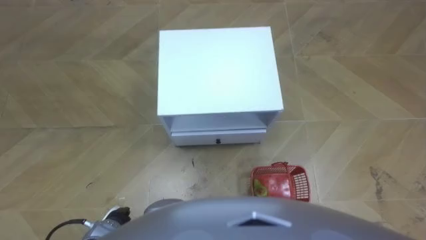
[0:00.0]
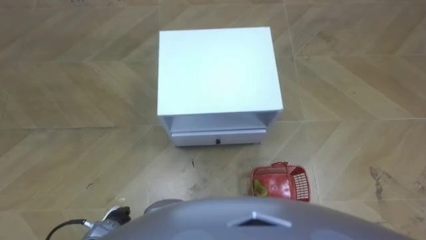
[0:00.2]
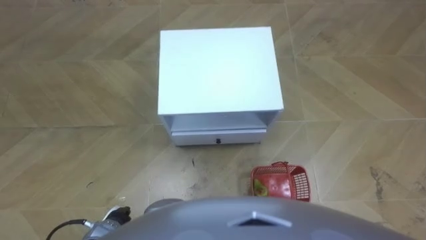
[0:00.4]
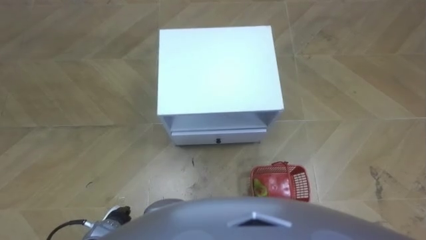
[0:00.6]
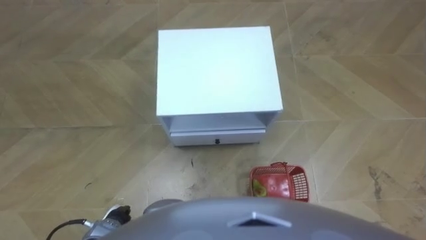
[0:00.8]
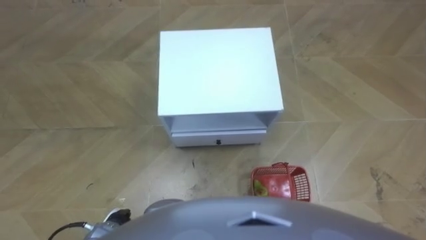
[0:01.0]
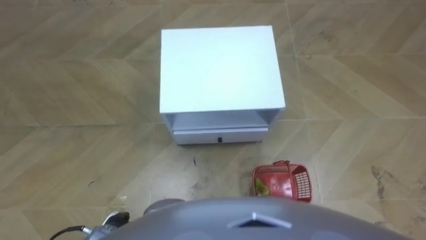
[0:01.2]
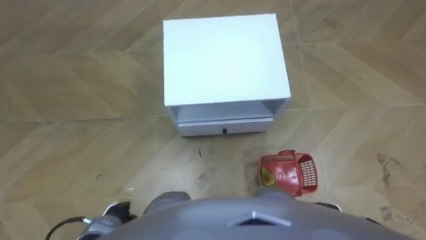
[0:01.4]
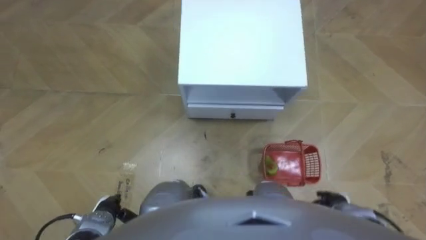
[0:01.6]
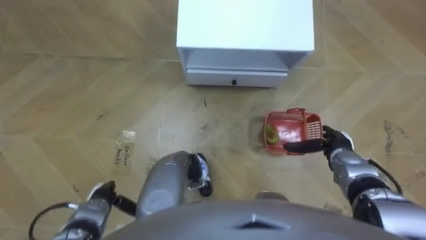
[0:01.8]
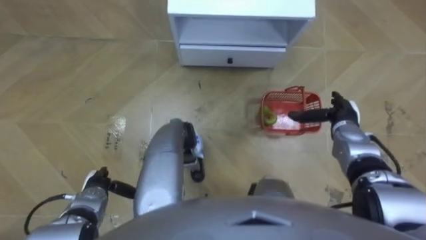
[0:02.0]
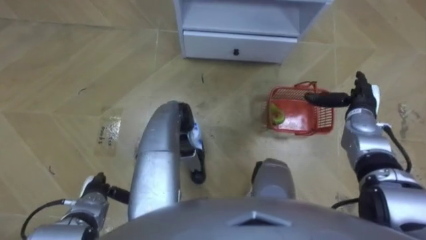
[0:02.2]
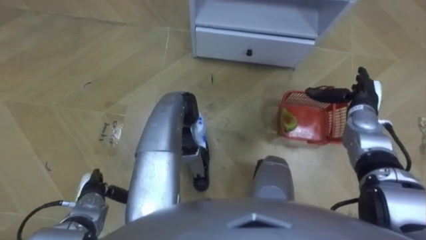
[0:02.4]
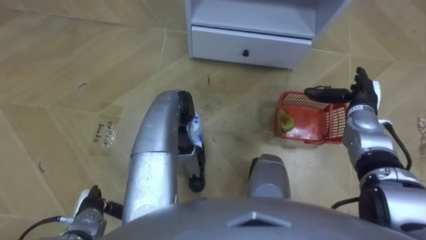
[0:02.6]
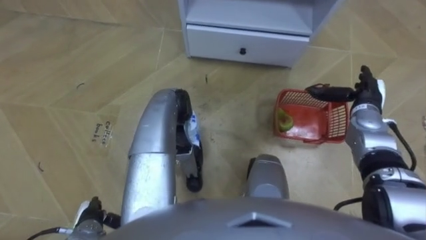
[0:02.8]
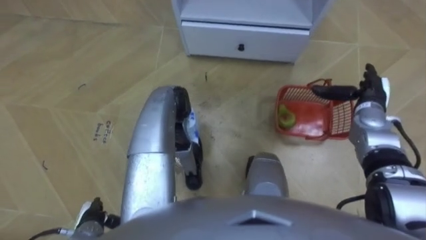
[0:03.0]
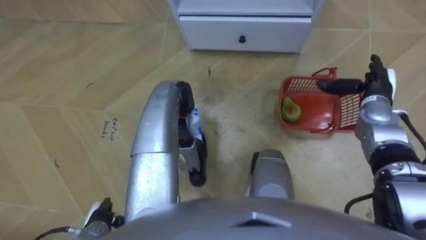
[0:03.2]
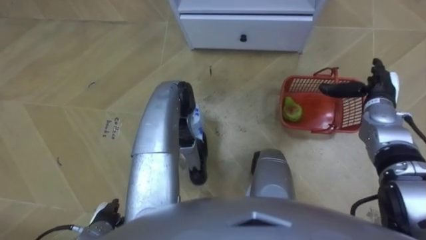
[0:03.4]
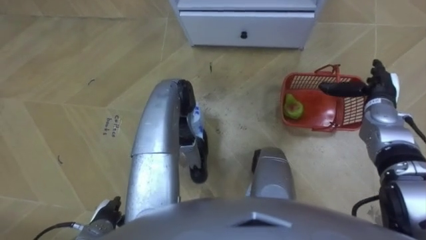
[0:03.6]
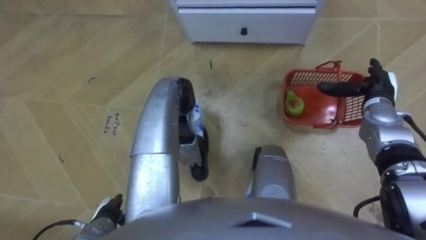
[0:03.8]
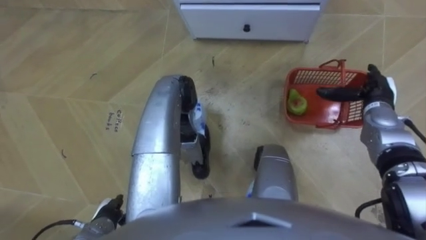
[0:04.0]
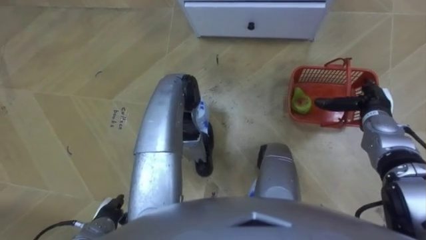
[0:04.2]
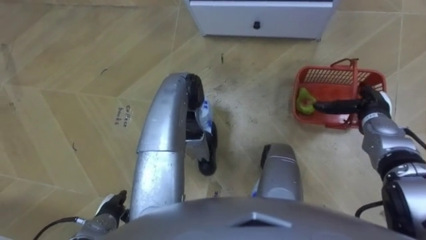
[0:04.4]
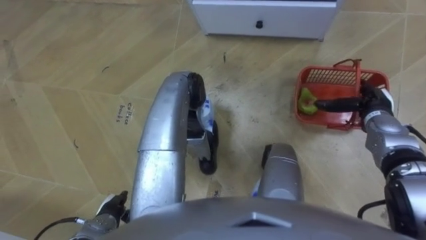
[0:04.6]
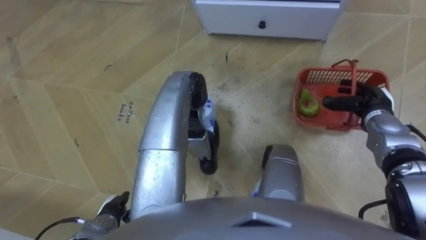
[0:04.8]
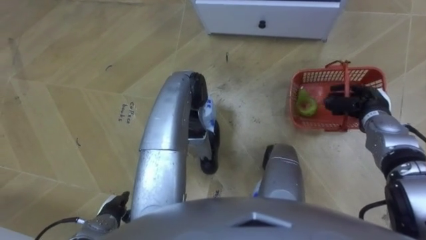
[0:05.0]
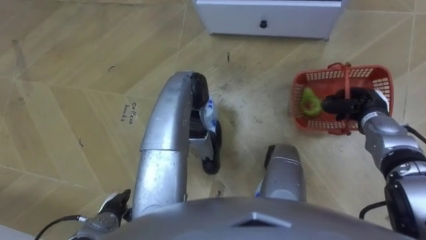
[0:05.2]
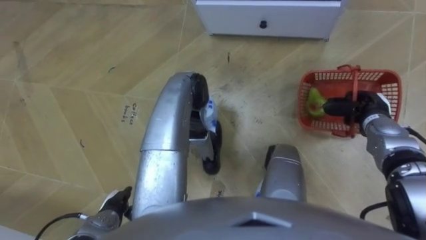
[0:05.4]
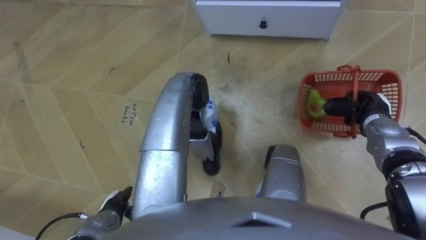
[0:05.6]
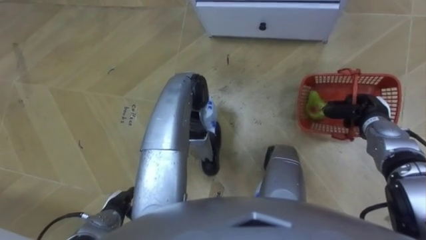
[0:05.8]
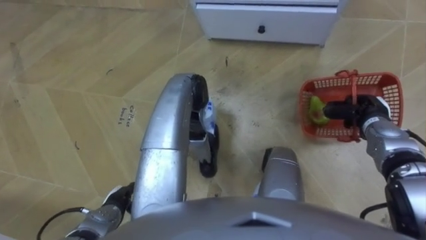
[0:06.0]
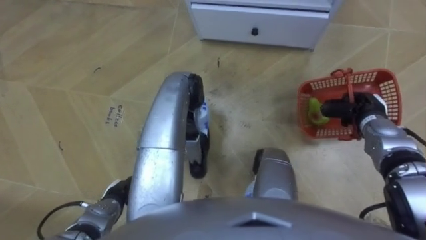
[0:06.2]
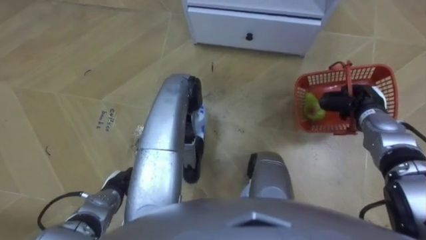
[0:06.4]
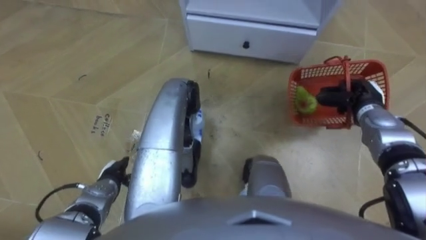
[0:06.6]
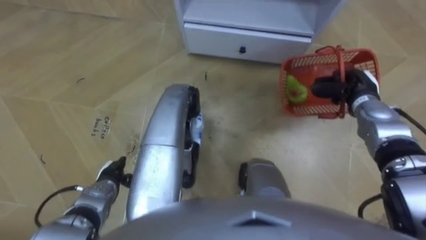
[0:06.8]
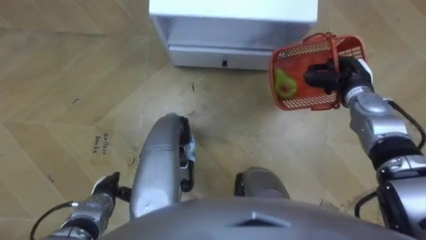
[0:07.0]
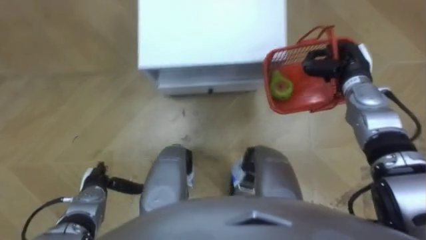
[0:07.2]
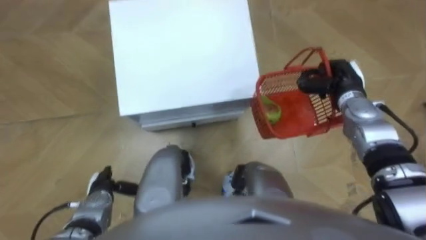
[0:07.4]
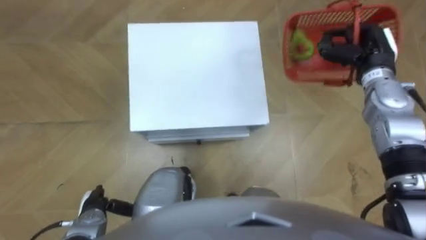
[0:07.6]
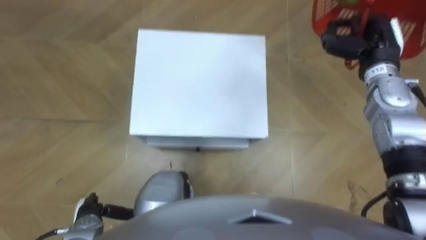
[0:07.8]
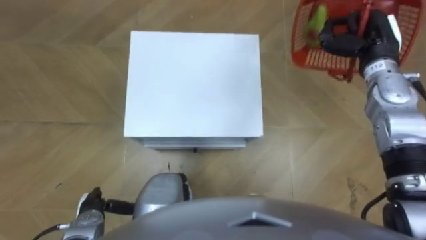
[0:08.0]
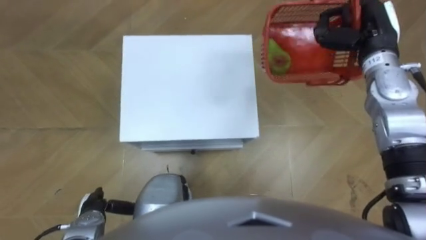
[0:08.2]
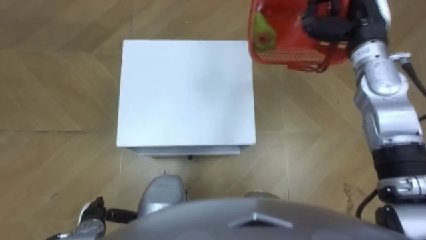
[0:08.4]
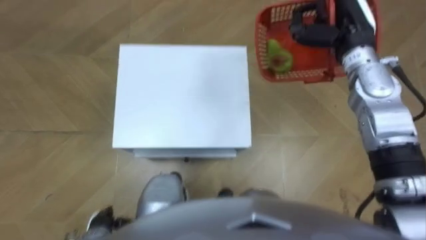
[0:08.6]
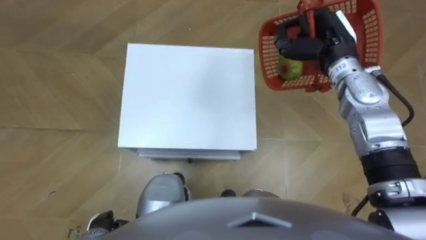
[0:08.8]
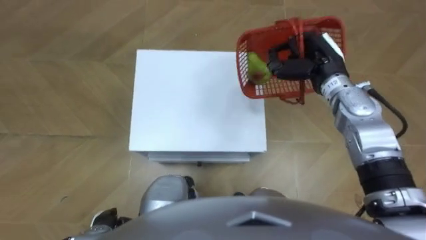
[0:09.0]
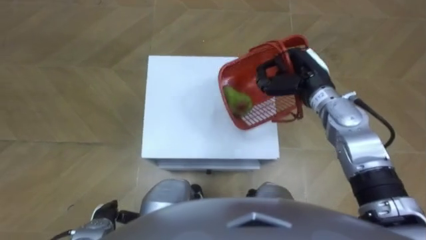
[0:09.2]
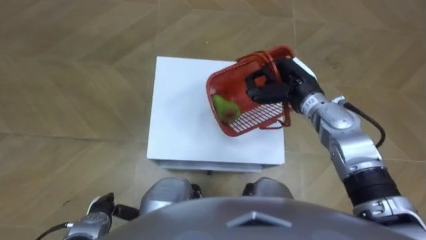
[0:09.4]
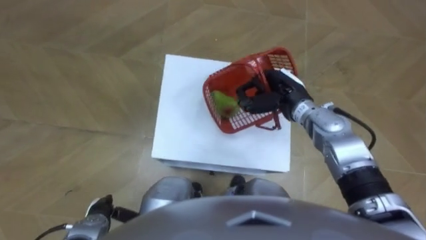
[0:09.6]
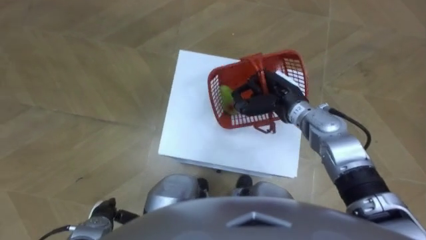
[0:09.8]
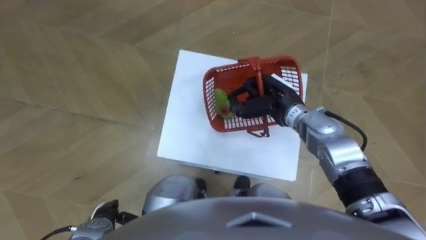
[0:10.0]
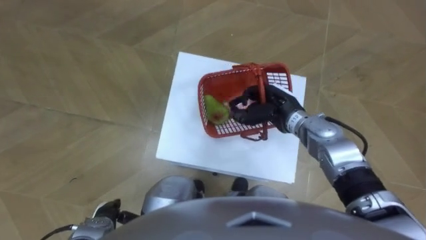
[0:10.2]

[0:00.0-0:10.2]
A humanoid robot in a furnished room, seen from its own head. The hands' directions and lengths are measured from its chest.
Task of the whole recording: Pick up the fruit basket from the floor and place it on the cabinet.
1.4 to 3.0 s: The left hand moves approximately 10 cm forward and comes back; the right hand goes roughly 30 cm forward and upward.
4.4 to 5.8 s: The right hand closes its fingers.
5.8 to 7.2 s: The left hand is displaced forward by approximately 5 cm. The right hand shifts some 10 cm forward, upward and to the left.
7.2 to 8.8 s: The left hand heads backward, covering roughly 10 cm. The right hand heads upward and to the left, covering about 10 cm.
8.8 to 10.2 s: The right hand heads downward, to the left and backward, covering roughly 15 cm.

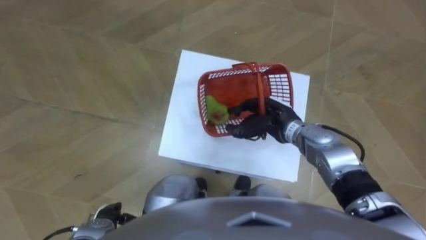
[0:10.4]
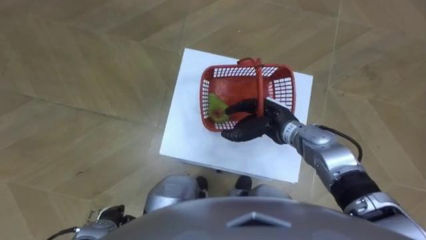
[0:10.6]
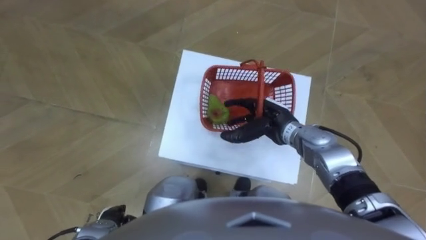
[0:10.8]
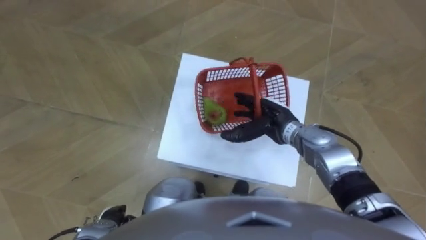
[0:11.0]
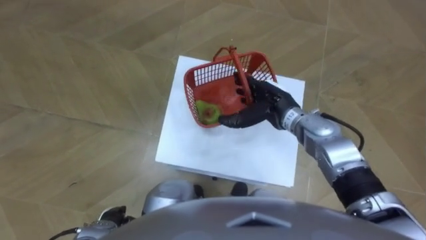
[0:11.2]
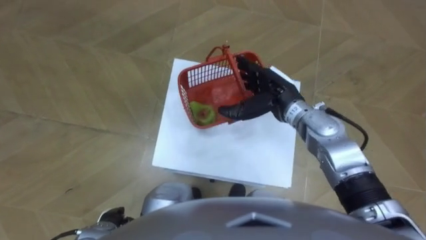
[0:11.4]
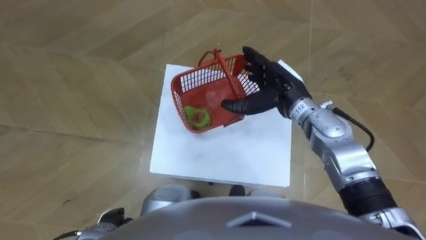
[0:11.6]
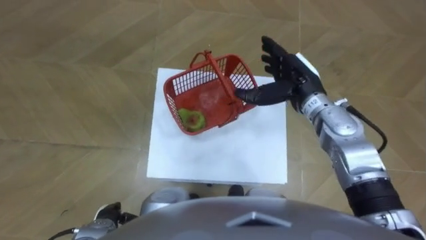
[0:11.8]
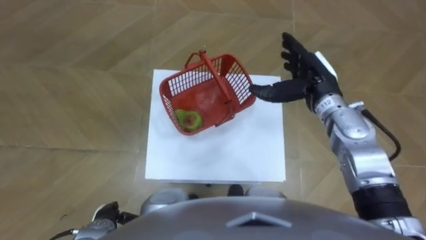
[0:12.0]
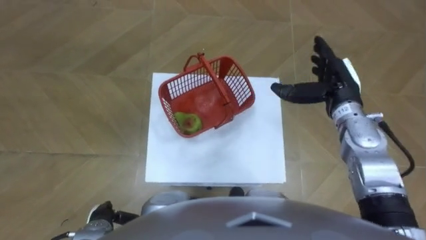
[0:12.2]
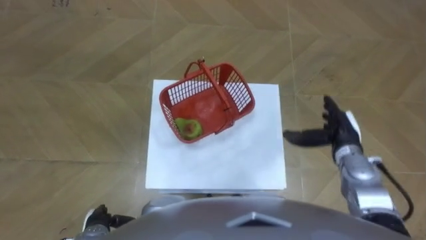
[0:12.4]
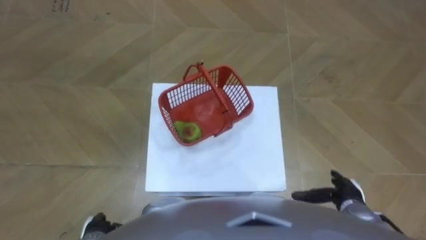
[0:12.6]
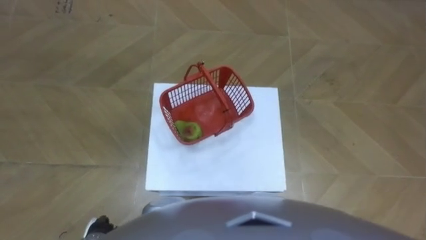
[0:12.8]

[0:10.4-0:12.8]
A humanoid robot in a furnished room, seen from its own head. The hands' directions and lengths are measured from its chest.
Task of the whole recording: Pick up the fruit basket from the floor and place it on the cabinet.
10.4 to 11.6 s: The right hand shifts about 10 cm upward, and opens.
11.6 to 12.8 s: The right hand is displaced backward, downward and to the right by about 35 cm.

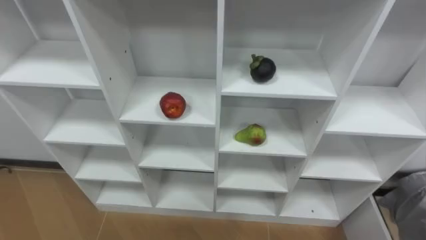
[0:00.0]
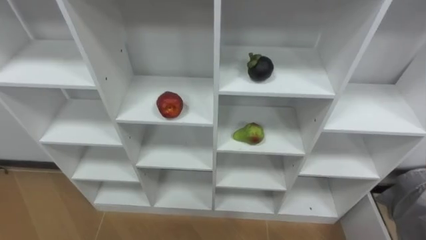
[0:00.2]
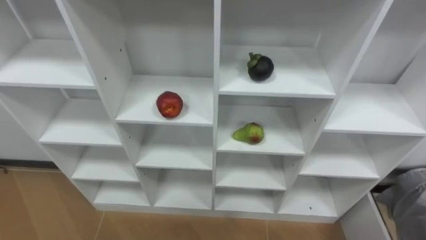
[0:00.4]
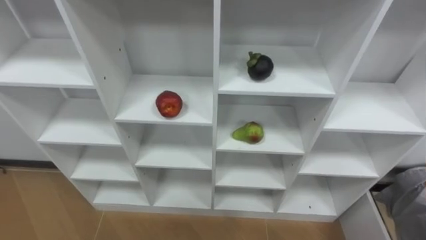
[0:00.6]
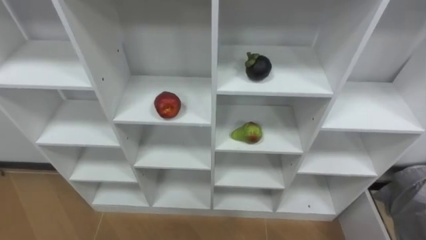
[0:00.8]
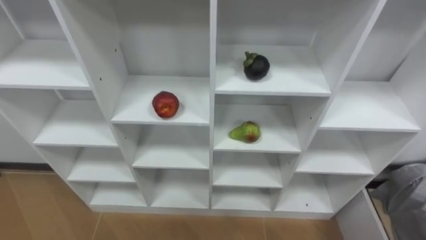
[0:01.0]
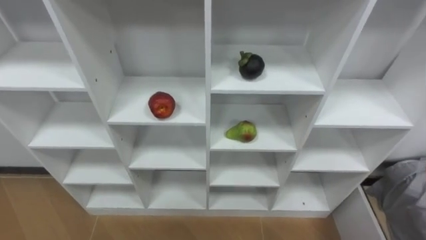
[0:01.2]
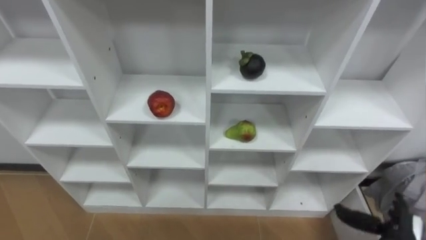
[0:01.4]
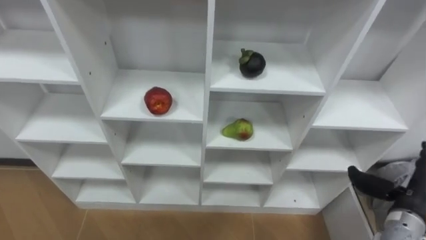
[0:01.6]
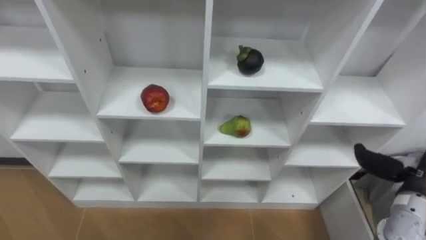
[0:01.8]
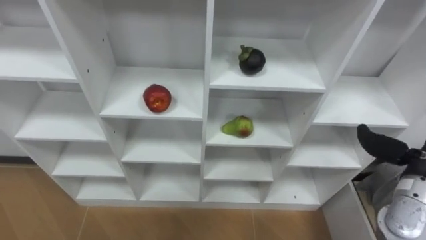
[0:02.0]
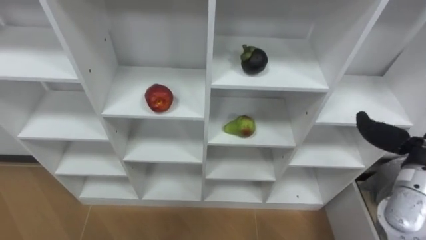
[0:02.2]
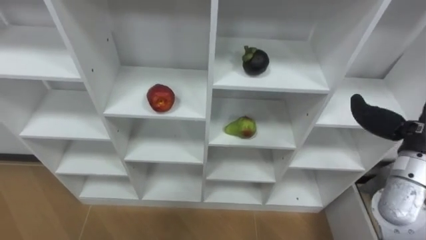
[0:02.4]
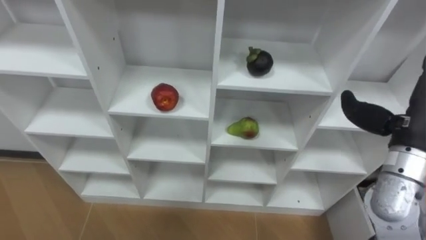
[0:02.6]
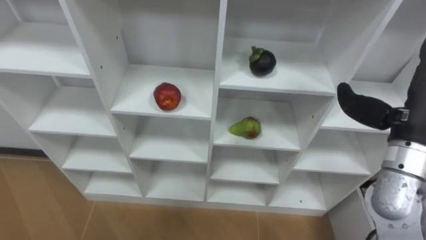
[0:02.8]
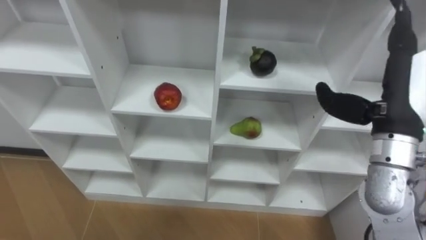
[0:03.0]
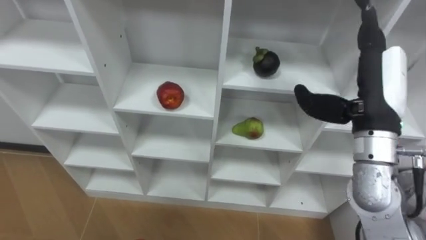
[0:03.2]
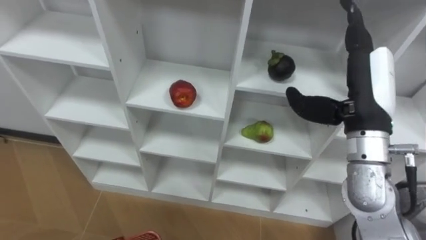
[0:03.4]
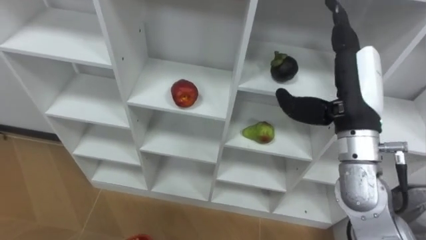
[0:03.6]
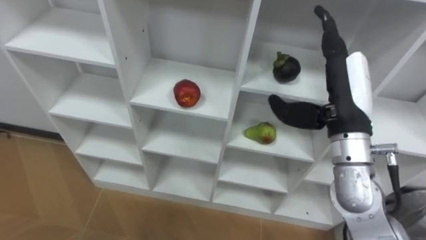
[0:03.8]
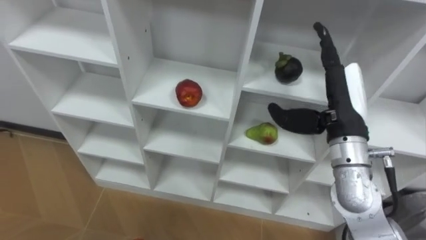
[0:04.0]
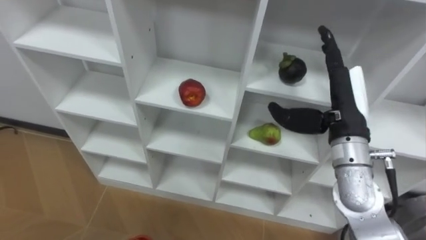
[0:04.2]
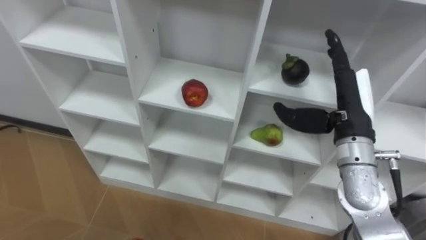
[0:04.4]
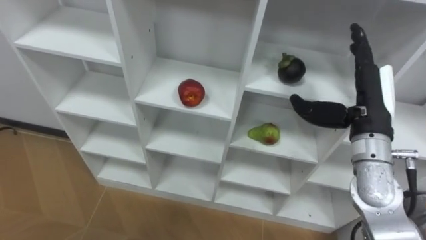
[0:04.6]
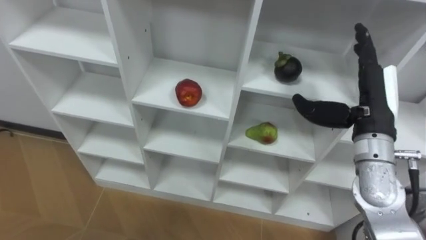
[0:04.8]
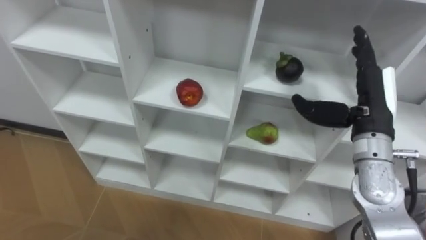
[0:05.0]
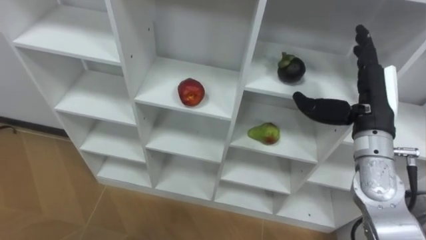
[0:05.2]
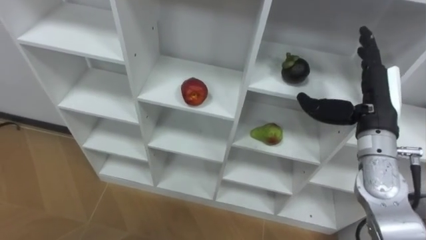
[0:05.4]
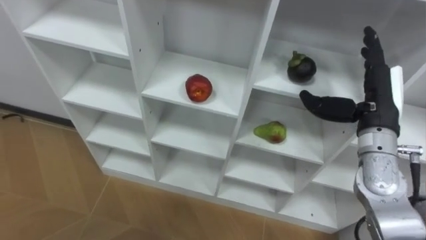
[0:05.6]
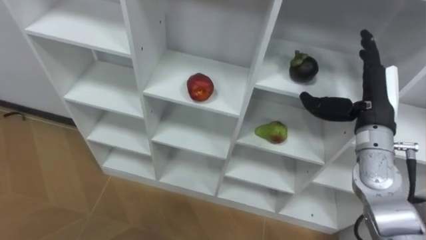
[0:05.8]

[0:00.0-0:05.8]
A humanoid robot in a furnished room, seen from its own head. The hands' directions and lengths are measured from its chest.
Task of the whole recording: Hold the basket and collect the fruits from 3 different cells of the closet into it.
2.8 to 4.4 s: The right hand heads to the left, covering roughly 5 cm.
4.4 to 5.8 s: The right hand goes about 5 cm to the right.
